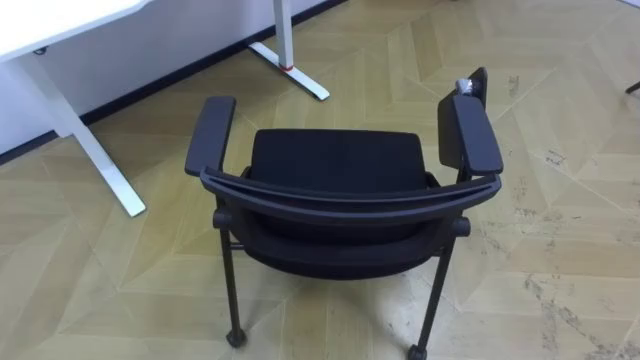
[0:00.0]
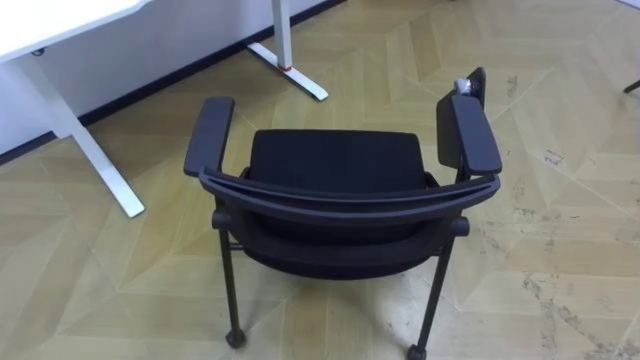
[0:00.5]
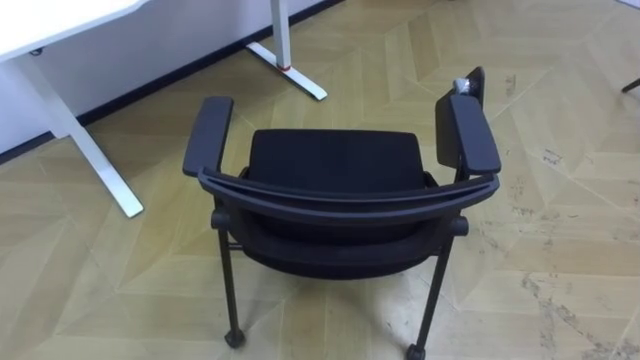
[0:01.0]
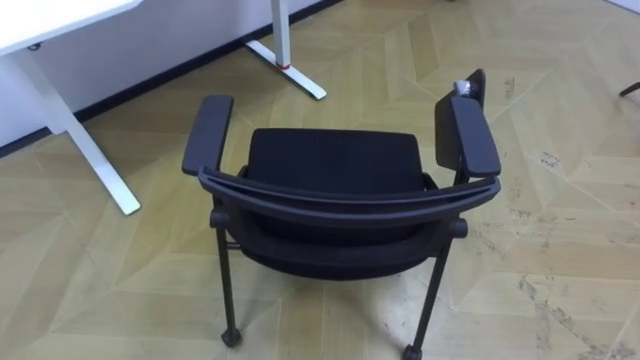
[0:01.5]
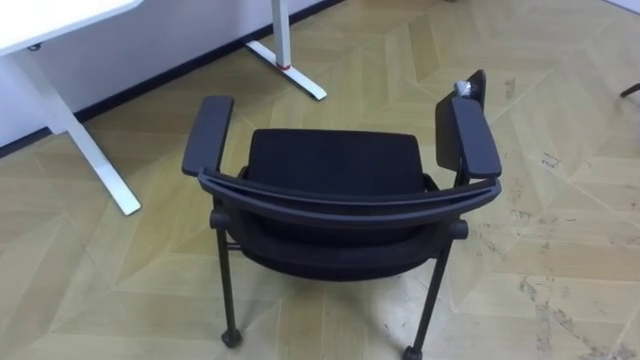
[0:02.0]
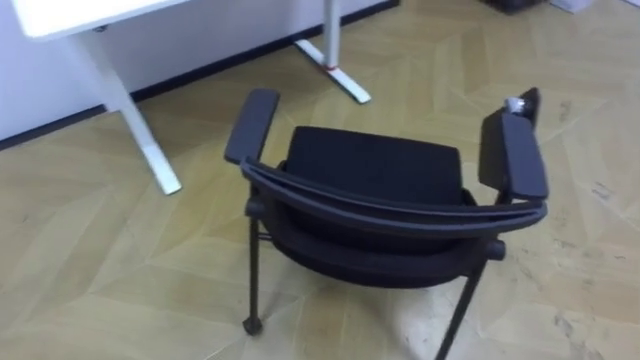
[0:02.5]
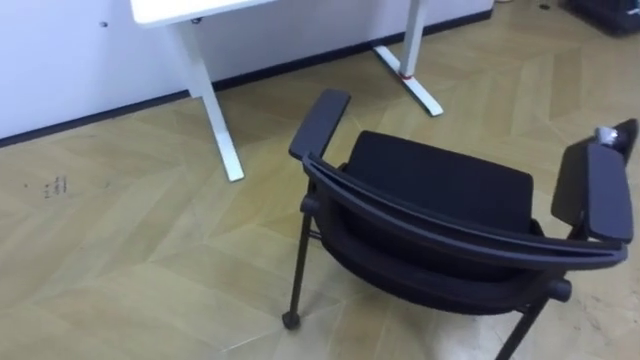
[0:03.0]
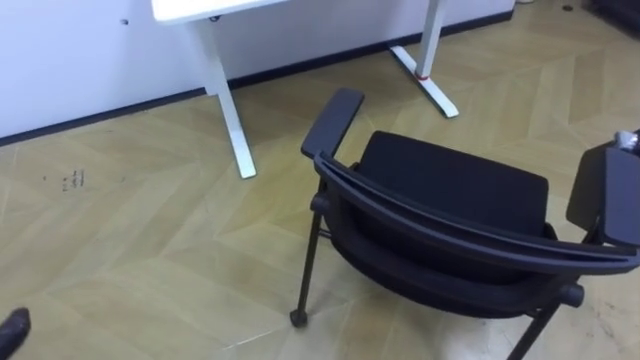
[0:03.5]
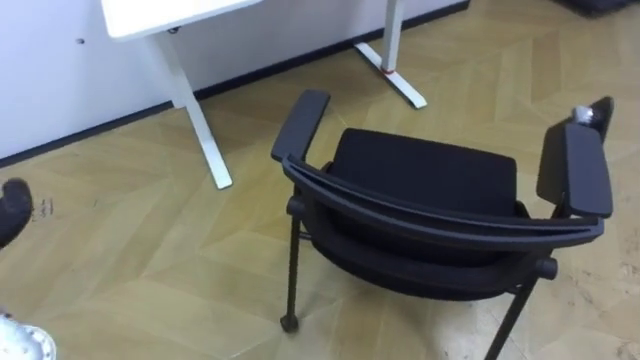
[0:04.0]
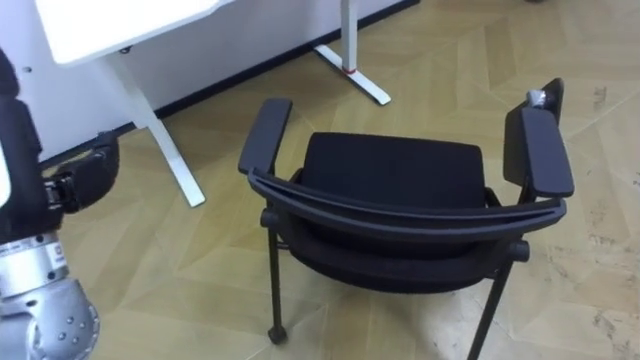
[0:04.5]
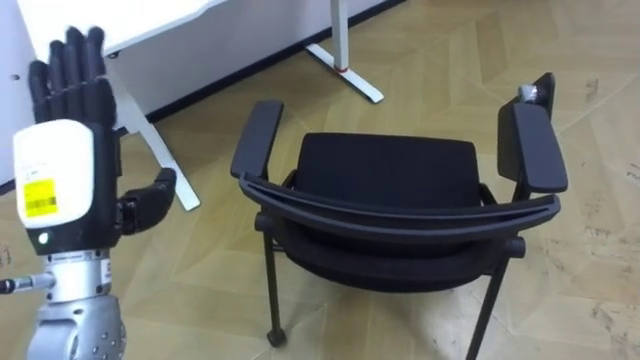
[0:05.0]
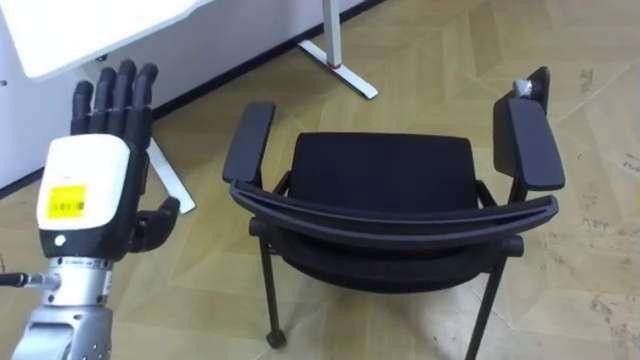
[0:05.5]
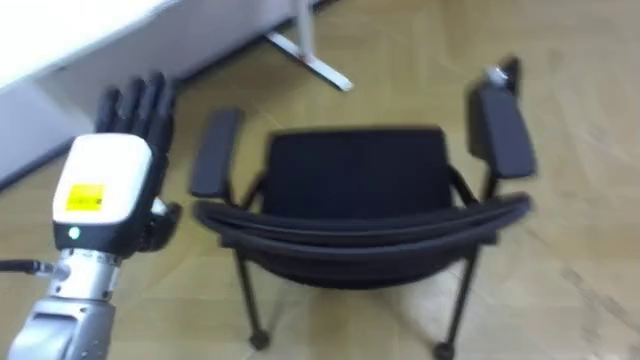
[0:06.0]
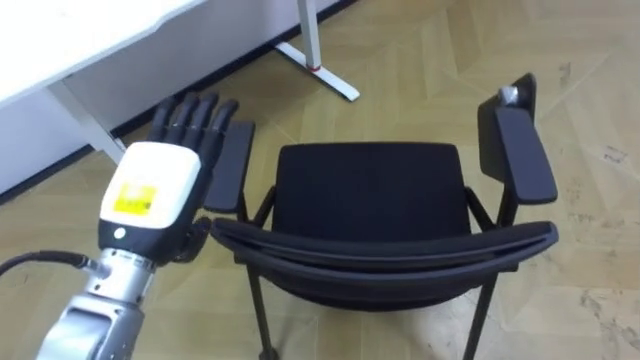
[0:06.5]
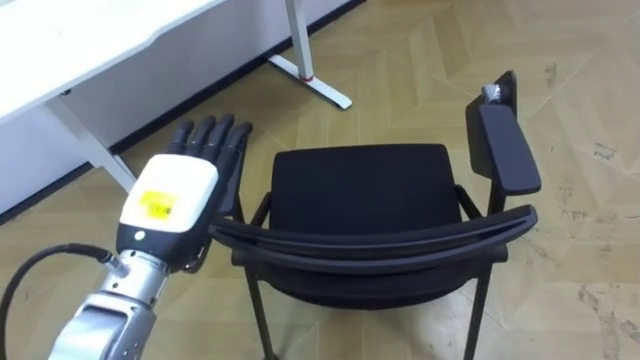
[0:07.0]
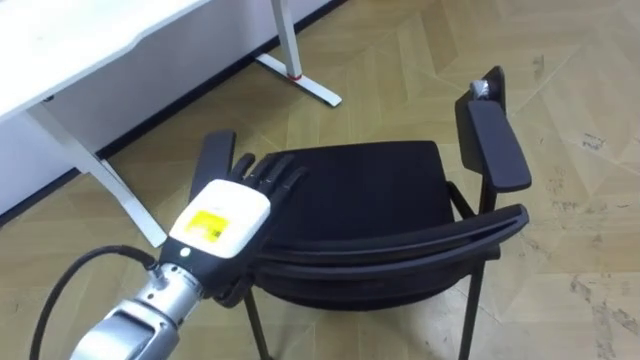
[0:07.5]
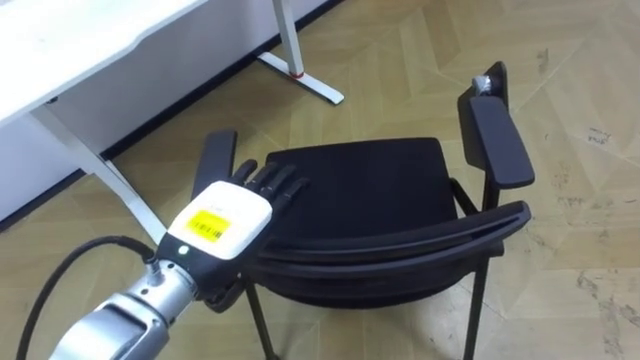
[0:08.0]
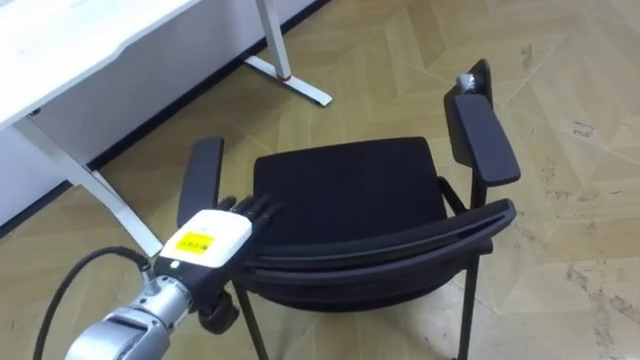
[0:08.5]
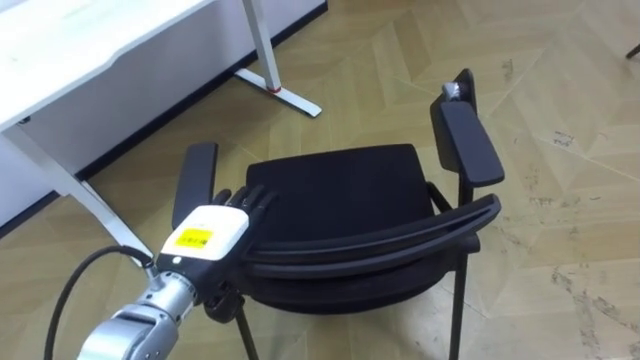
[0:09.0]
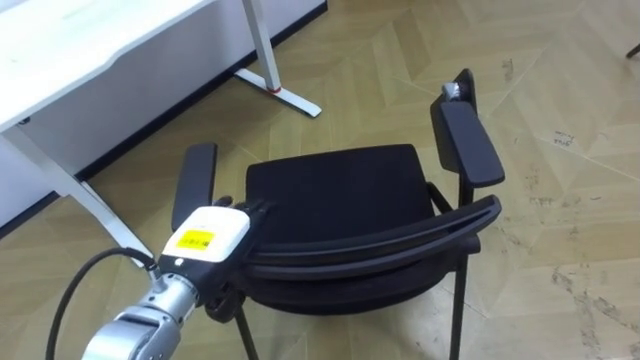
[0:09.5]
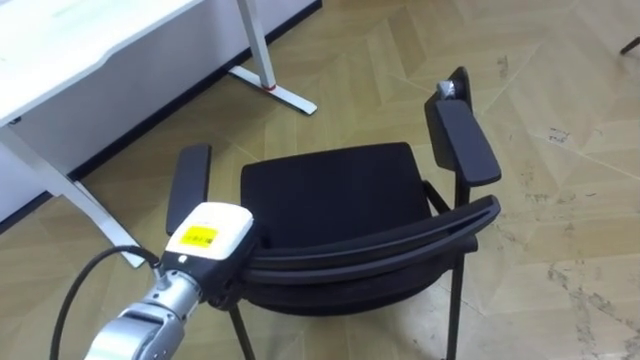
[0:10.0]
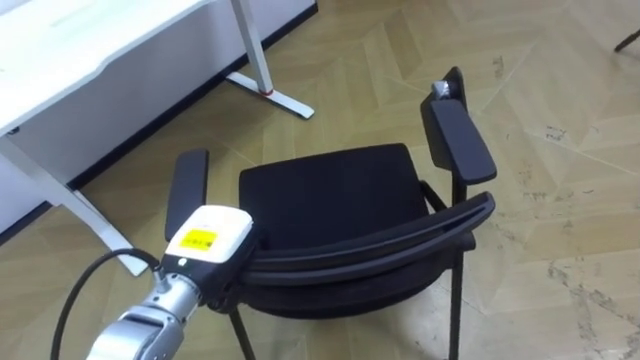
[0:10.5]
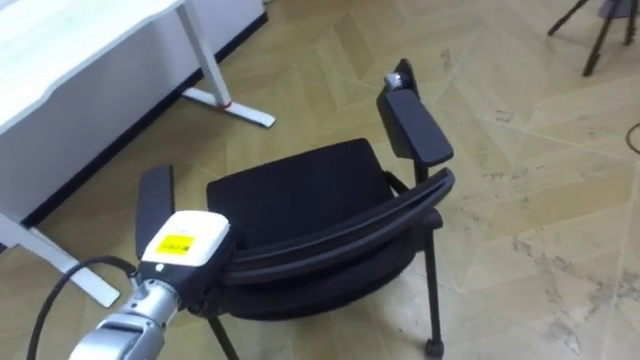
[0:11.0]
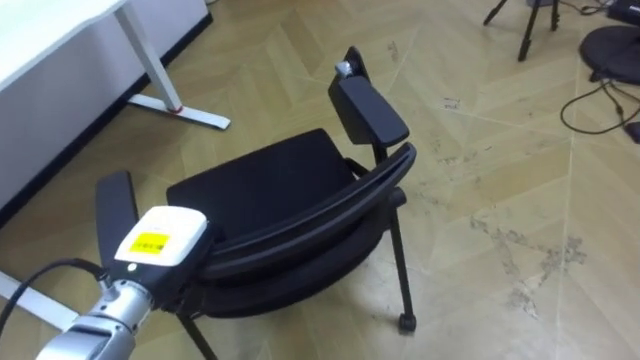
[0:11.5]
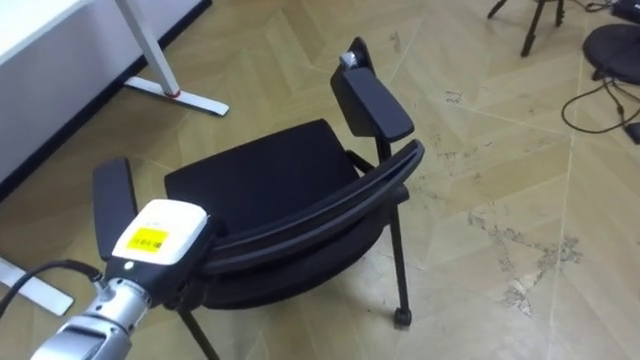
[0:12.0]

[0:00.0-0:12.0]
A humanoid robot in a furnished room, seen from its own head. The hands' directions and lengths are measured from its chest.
Task of the whole recording: Push the chair under the table.
0:06.0 to 0:08.0: The left hand moves to the right, about 10 cm.
0:08.0 to 0:10.0: The left hand heads downward, covering some 5 cm, and closes its fingers.
0:10.0 to 0:12.0: The left hand heads to the left, covering roughly 5 cm.

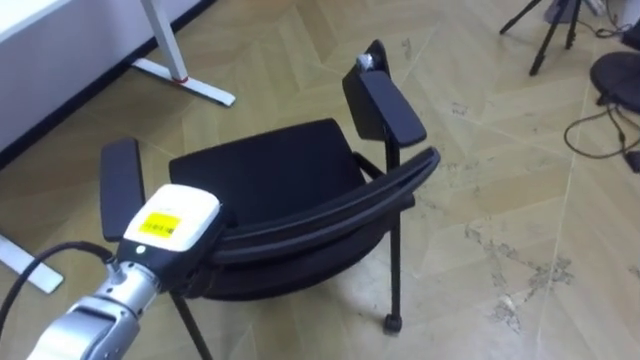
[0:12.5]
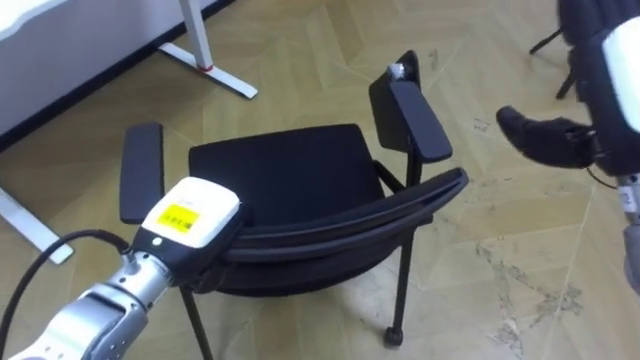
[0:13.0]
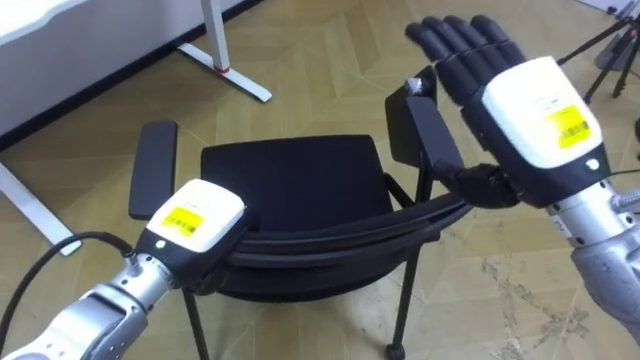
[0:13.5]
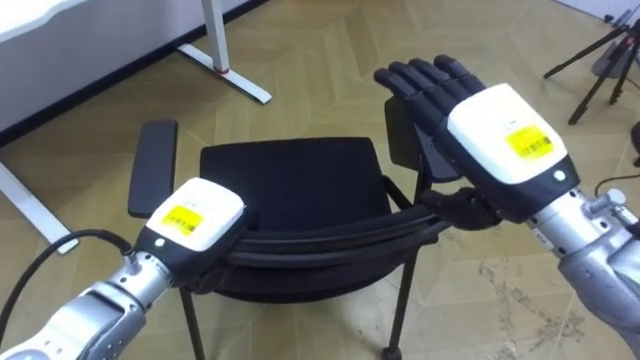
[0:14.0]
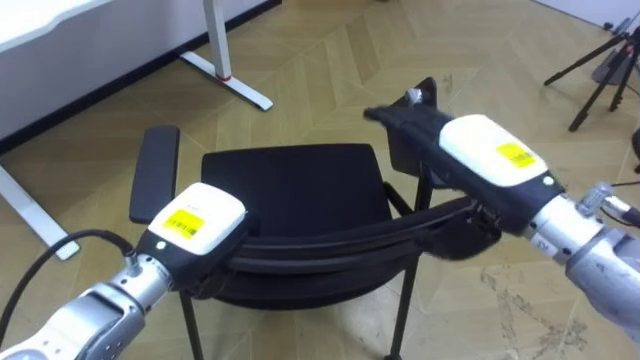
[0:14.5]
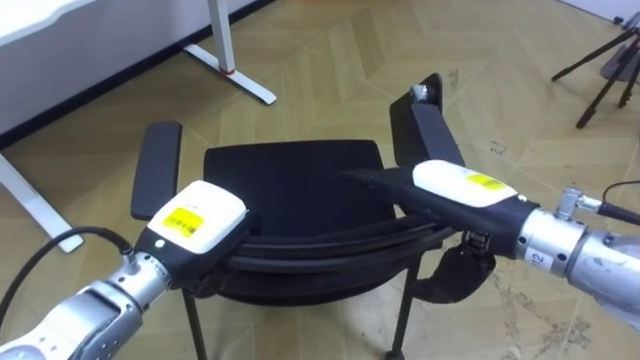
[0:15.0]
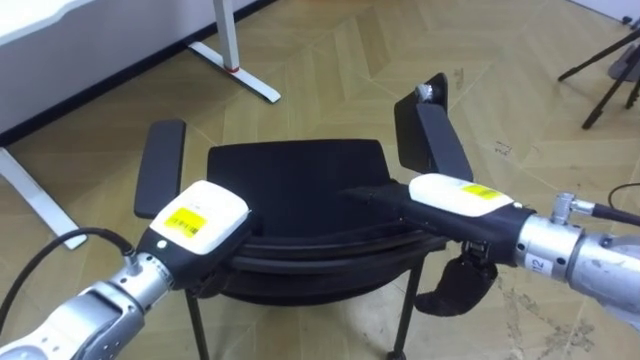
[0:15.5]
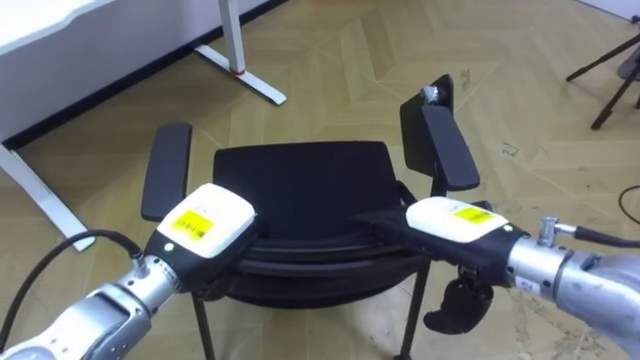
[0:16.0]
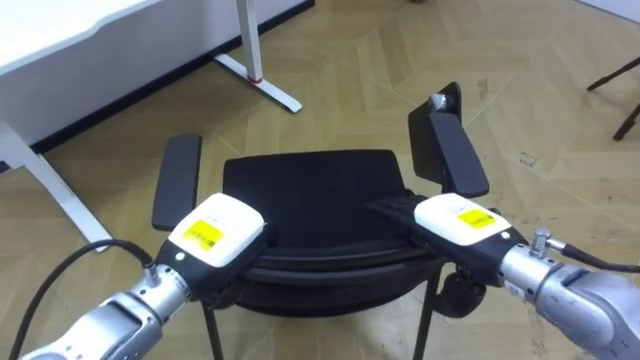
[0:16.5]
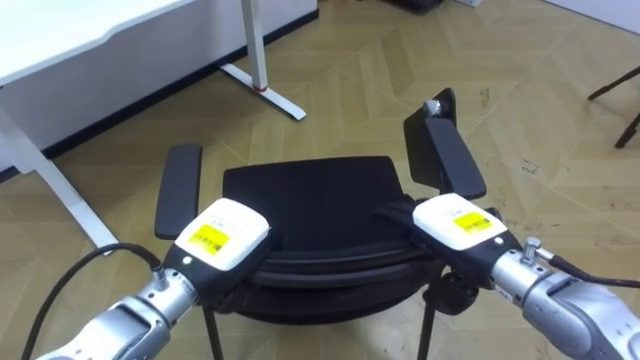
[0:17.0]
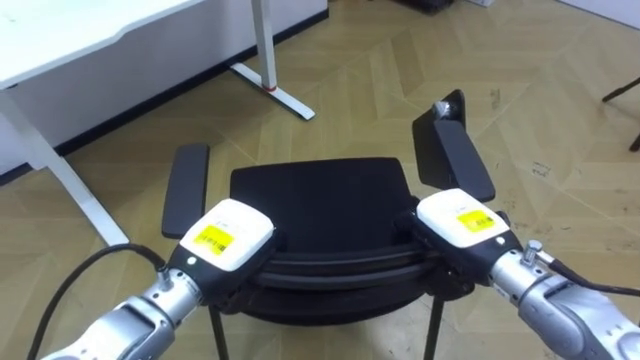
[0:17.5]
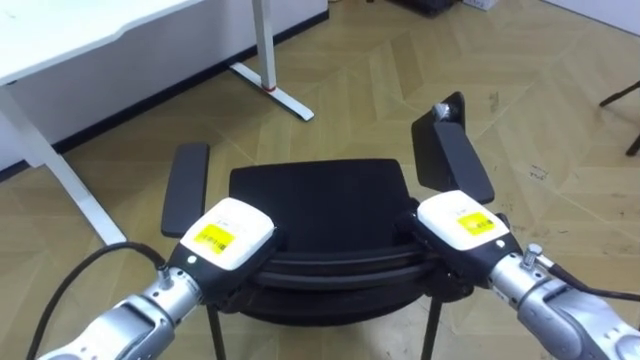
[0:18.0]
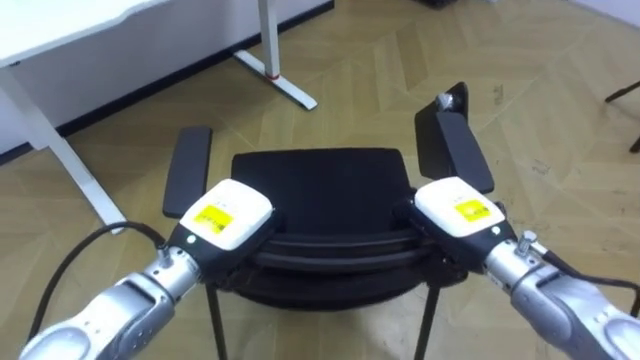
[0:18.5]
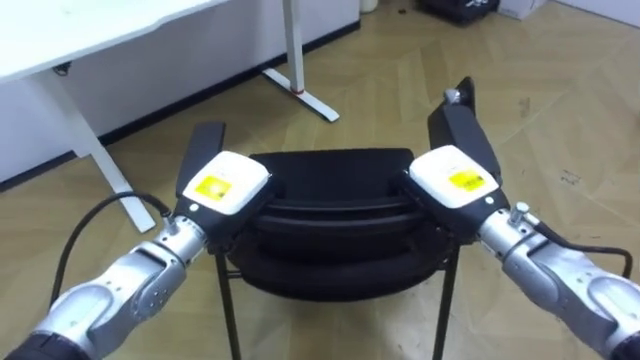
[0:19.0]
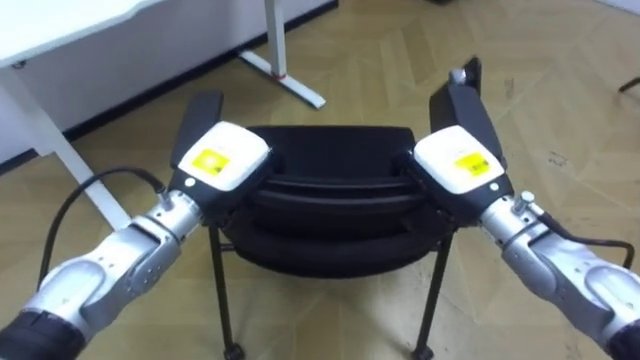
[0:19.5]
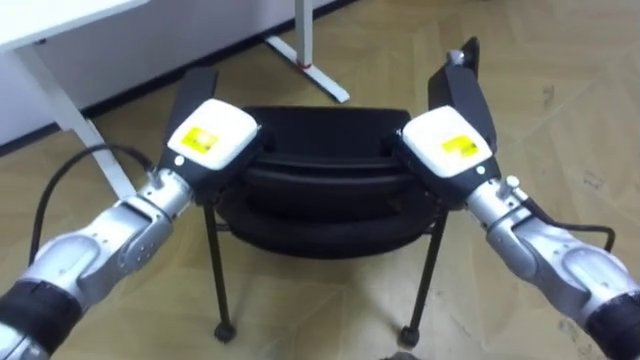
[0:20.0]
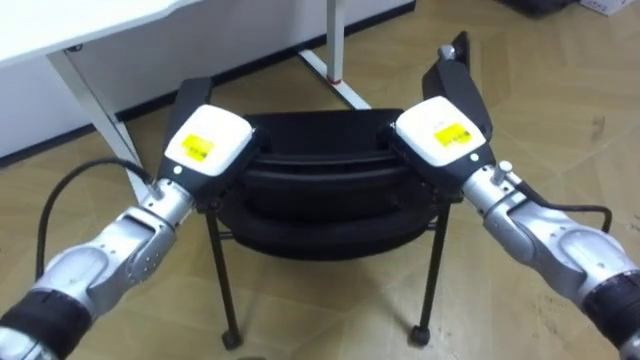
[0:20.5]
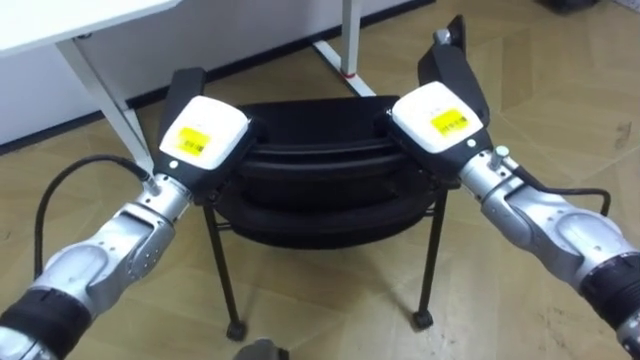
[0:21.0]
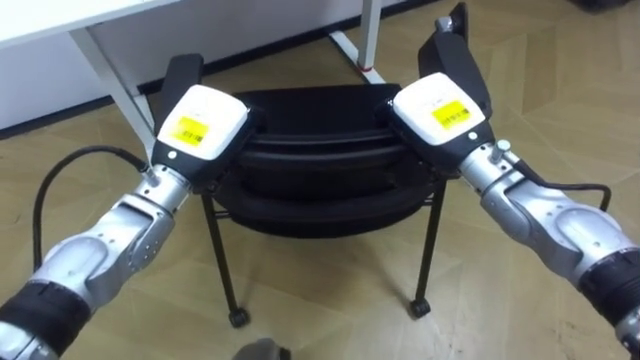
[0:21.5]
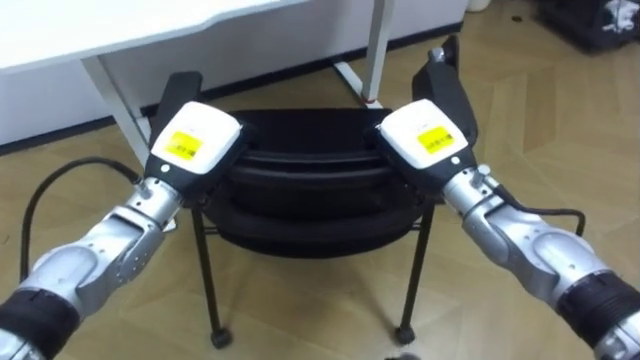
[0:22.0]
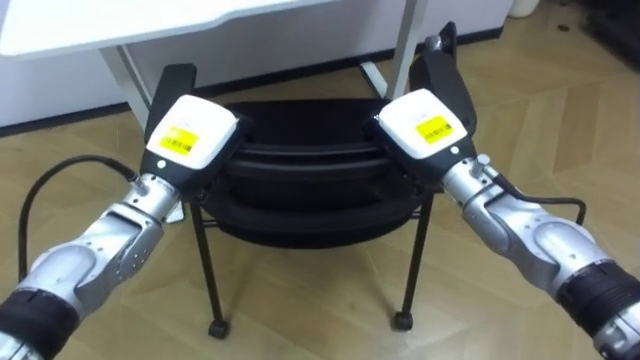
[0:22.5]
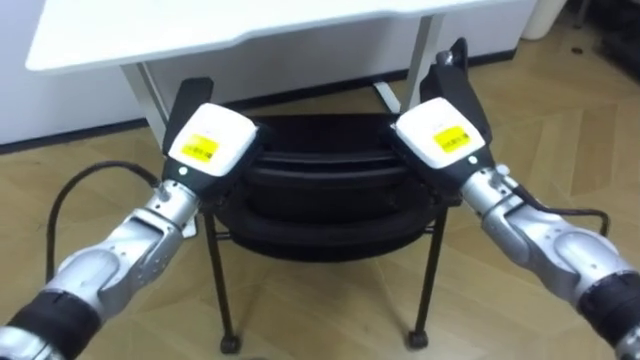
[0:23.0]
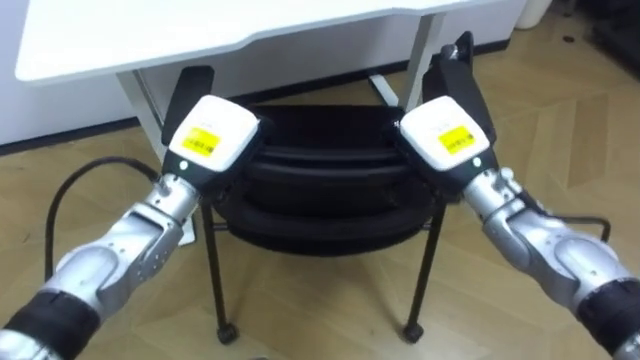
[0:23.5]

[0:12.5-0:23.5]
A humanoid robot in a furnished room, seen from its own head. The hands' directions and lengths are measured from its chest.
Task of the whole recording: Push the chair under the table.
0:14.5 to 0:16.0: The right hand is displaced downward by some 5 cm.
0:16.0 to 0:18.0: The right hand goes some 5 cm downward, and closes its fingers.
0:18.0 to 0:20.0: The hands both shift forward and upward by roughly 10 cm.
